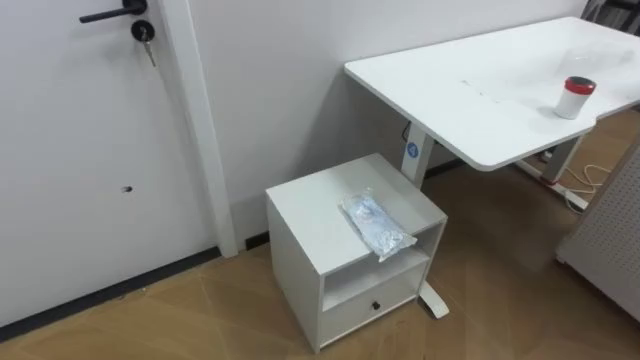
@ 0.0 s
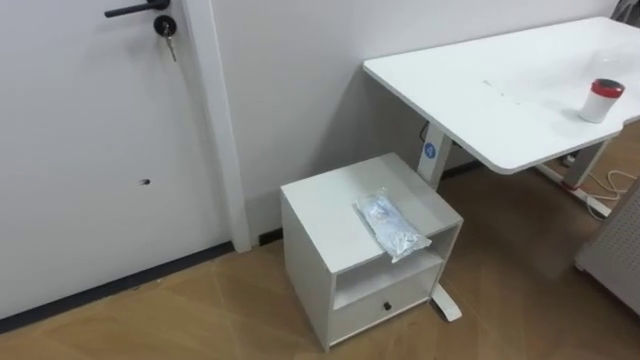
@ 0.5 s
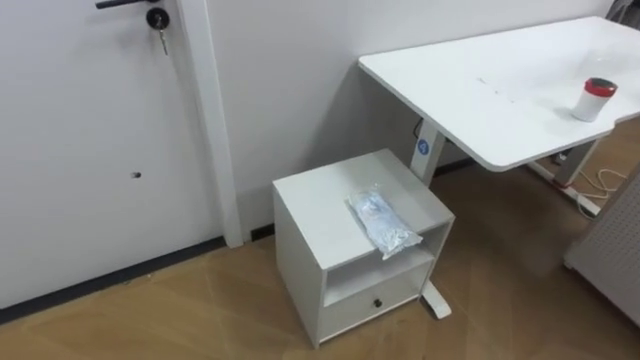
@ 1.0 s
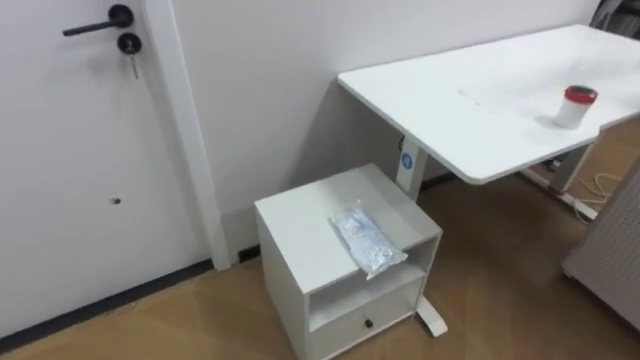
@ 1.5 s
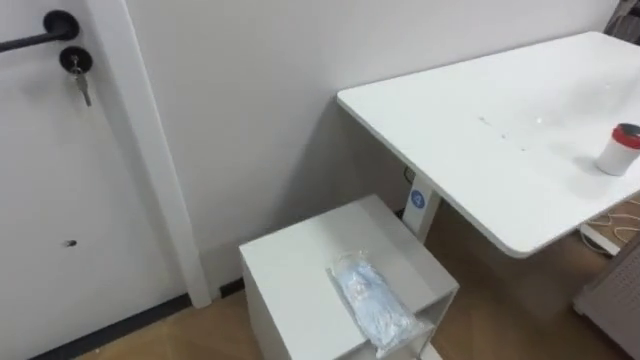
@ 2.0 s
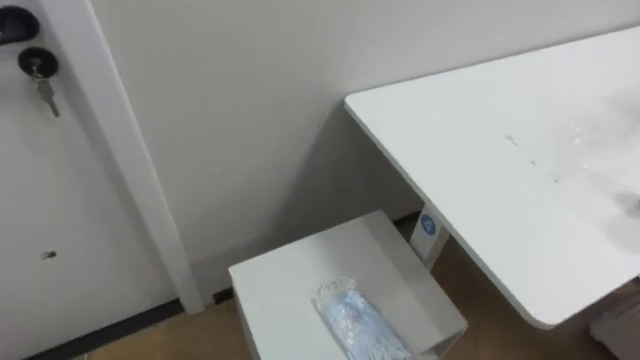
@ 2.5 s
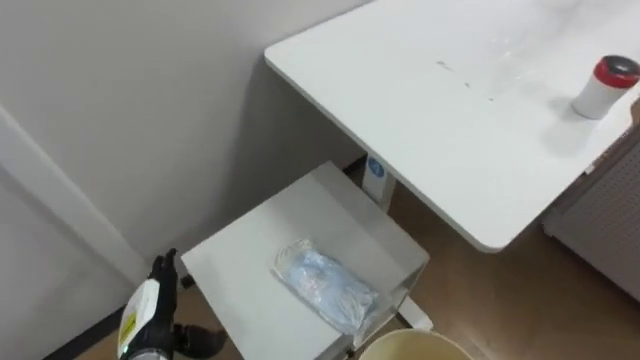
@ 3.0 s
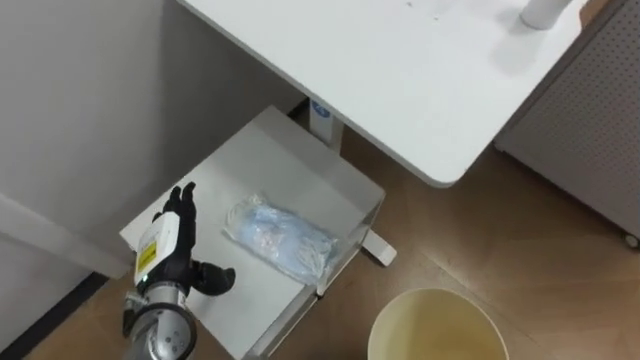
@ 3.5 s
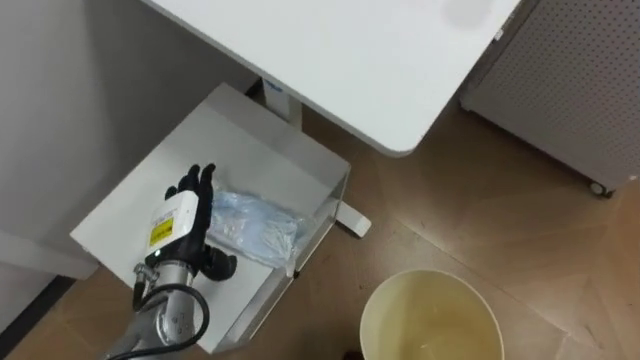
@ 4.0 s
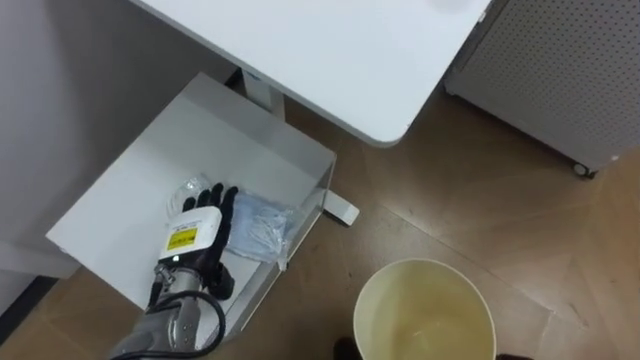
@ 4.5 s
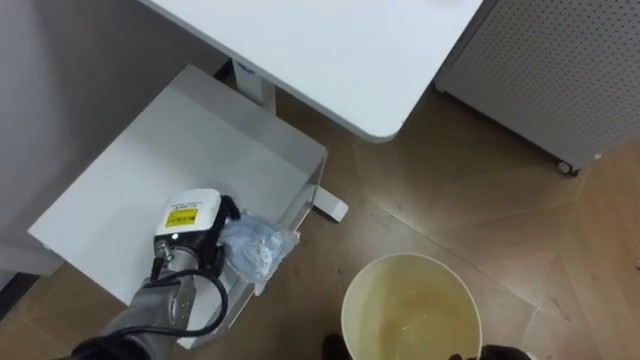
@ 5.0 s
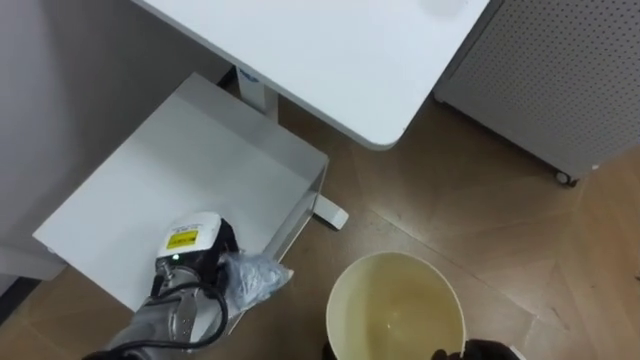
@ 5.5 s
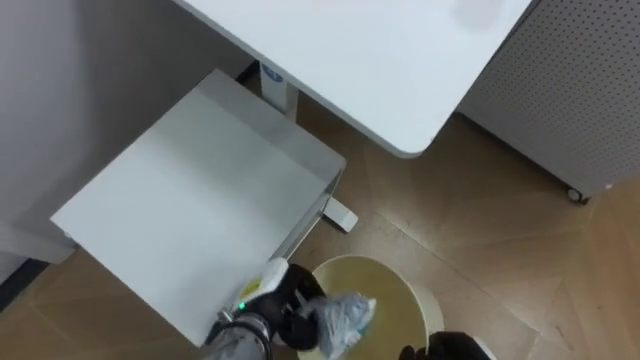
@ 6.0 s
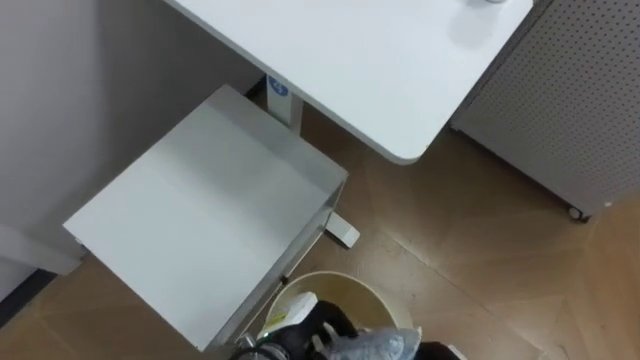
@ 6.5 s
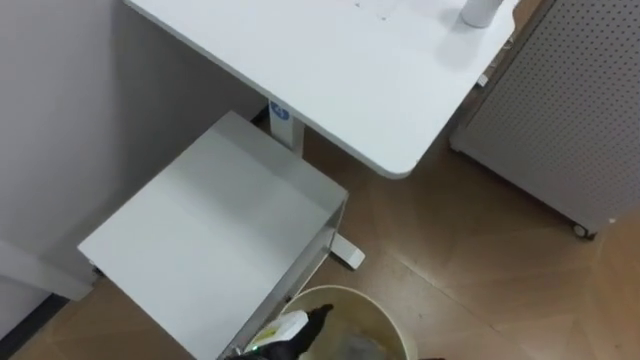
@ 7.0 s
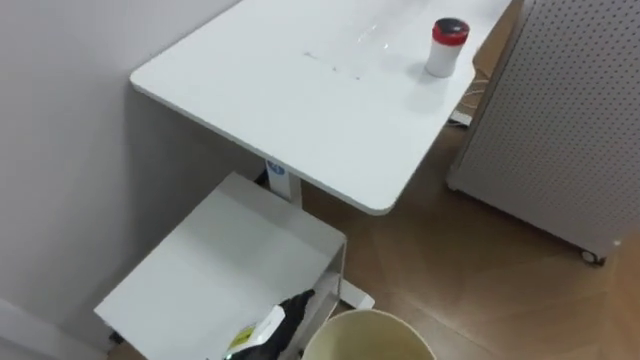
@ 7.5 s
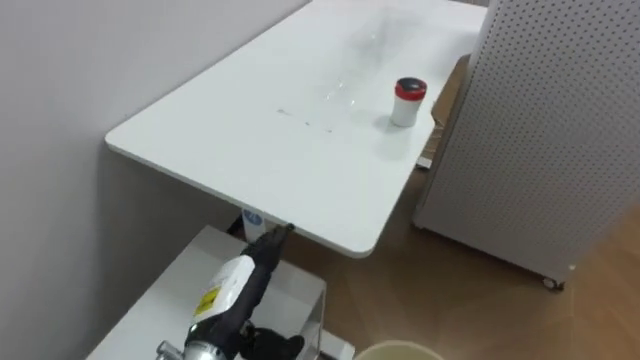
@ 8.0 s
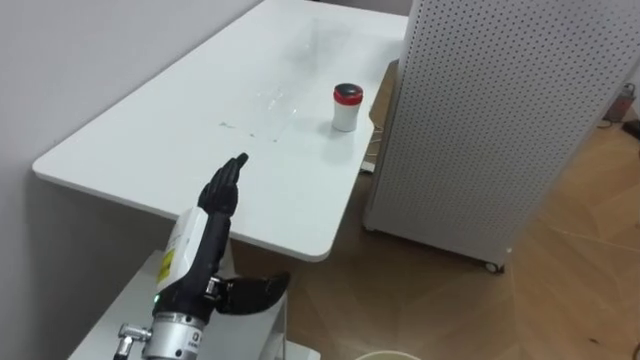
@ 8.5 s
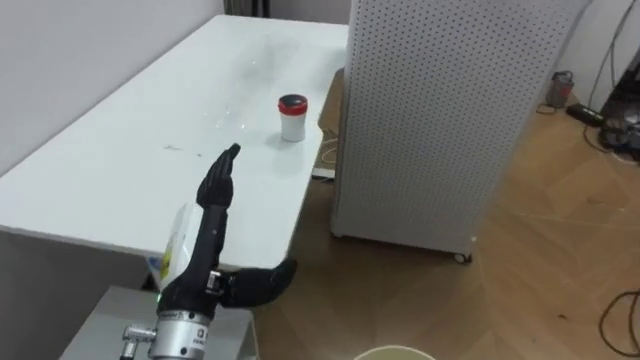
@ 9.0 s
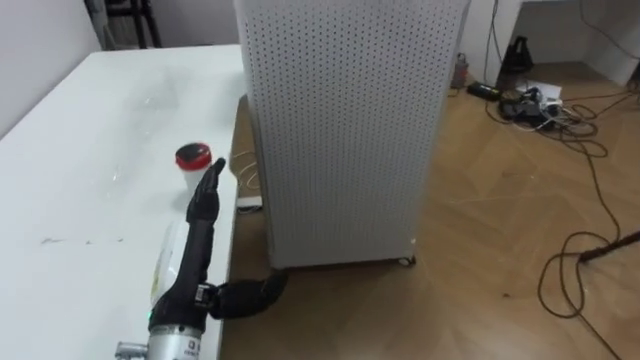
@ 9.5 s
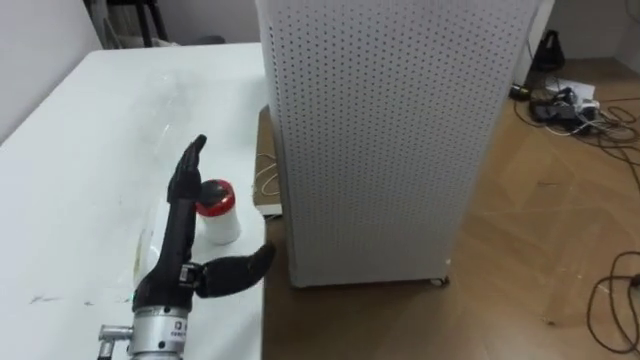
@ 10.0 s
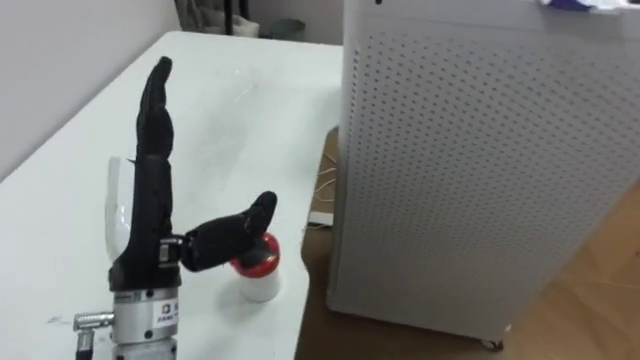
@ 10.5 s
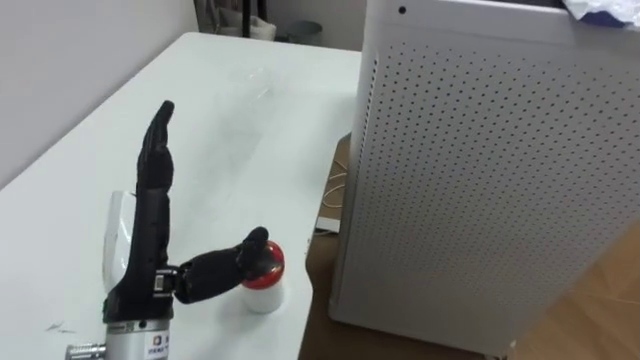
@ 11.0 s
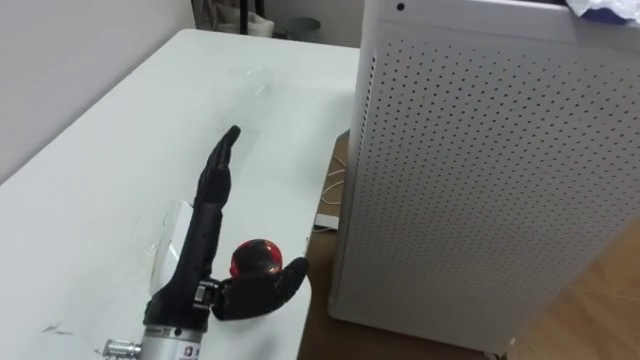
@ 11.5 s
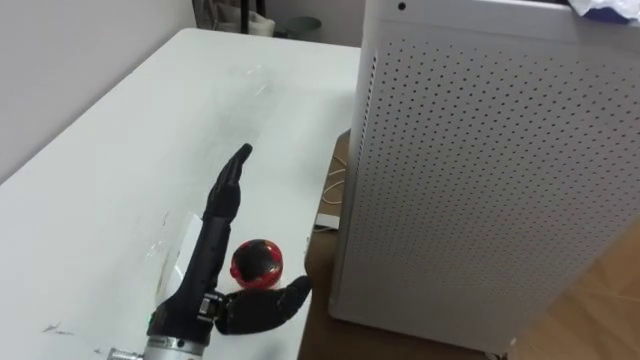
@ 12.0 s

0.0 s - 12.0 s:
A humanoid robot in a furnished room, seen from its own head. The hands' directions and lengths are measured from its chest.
Task of the whole recording: Pick up the light blue package, the candy box, and the dark blue package separately, and put them into the trash can held in your right hand.
4.0 s - 6.0 s: The left hand heads to the right and downward, covering about 15 cm, and closes up.
6.0 s - 8.0 s: The left hand shifts roughly 10 cm backward and upward, and opens its fingers.
8.0 s - 10.0 s: The robot's body swings roughly 40 degrees to its right. The left hand shifts some 10 cm upward and to the left.
10.0 s - 12.0 s: The robot rotates approximately 15 degrees to its left. The left hand reaches about 10 cm upward, then returns.

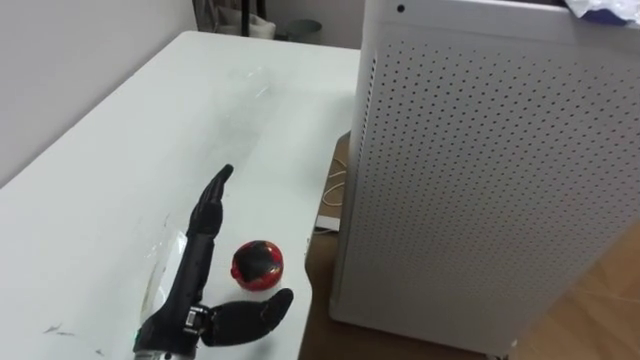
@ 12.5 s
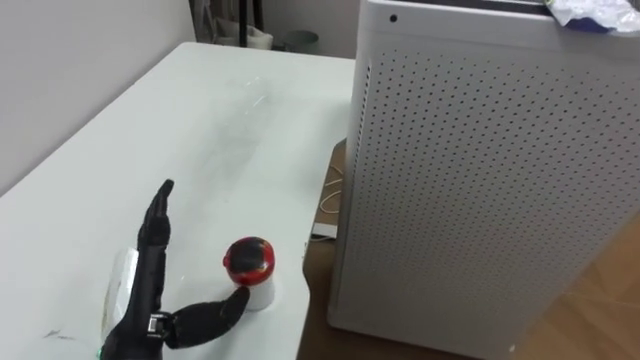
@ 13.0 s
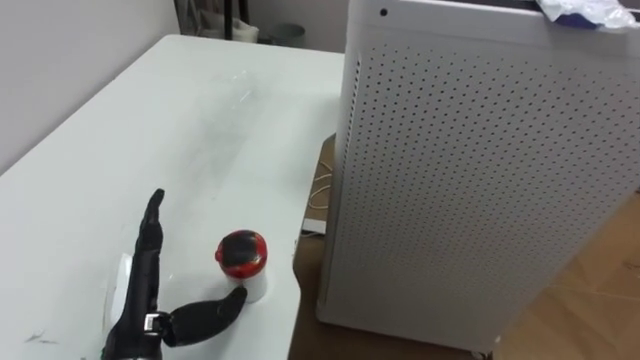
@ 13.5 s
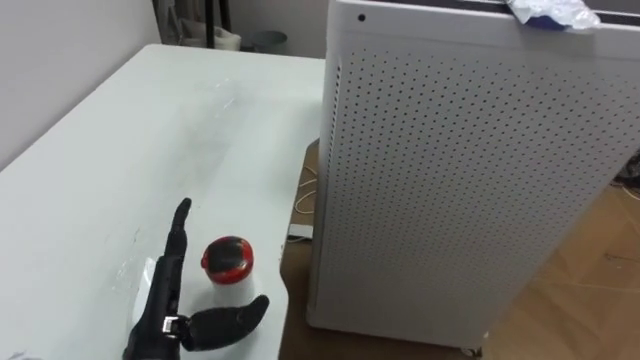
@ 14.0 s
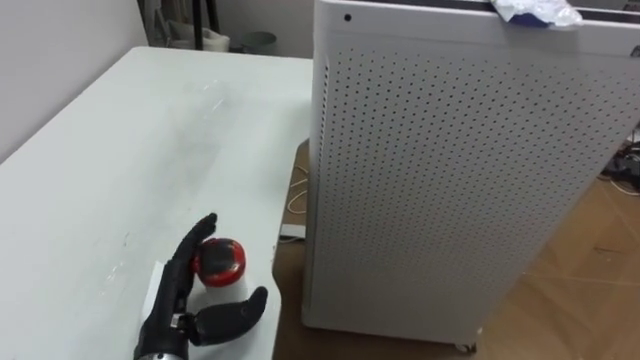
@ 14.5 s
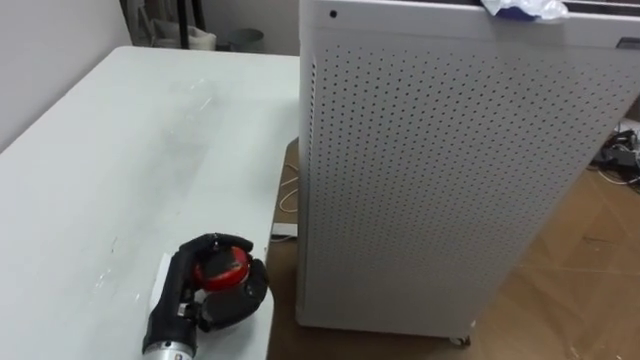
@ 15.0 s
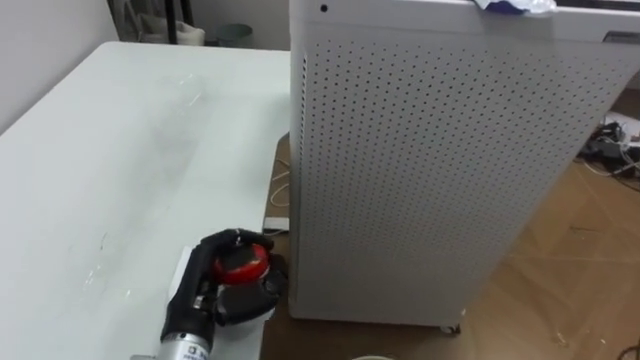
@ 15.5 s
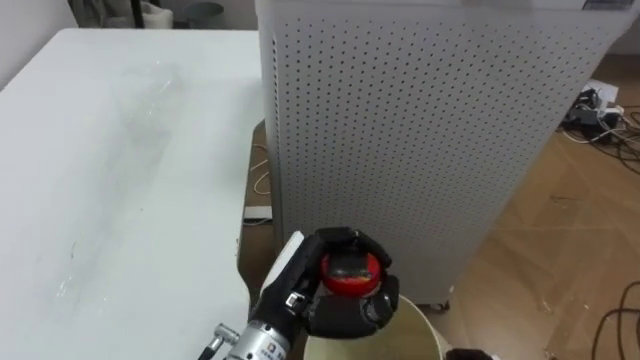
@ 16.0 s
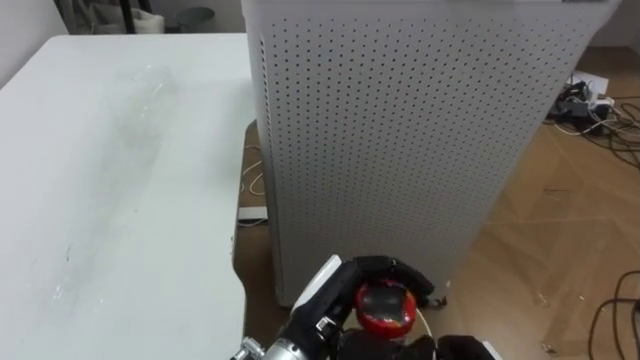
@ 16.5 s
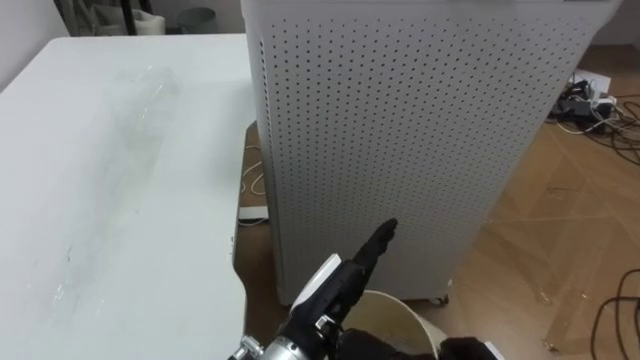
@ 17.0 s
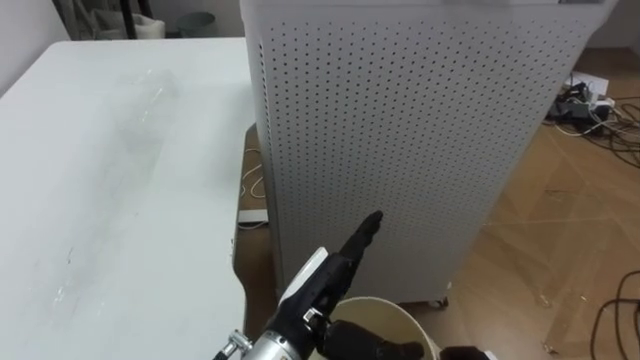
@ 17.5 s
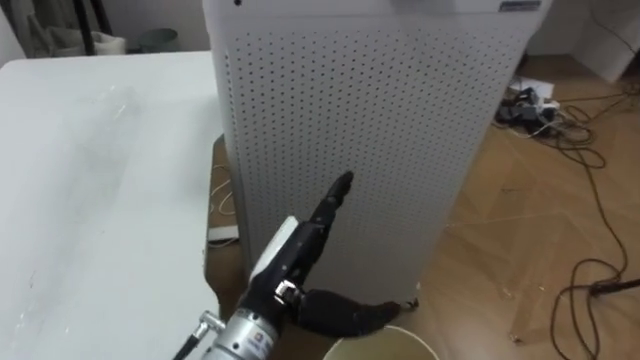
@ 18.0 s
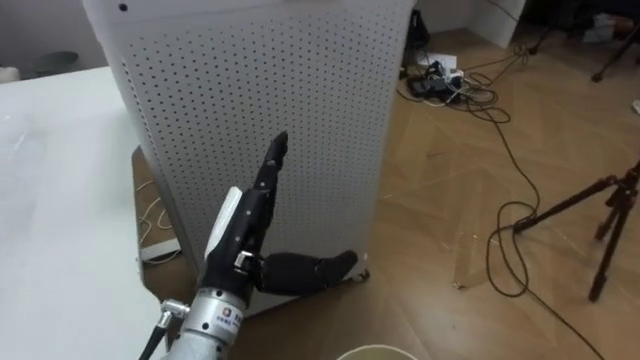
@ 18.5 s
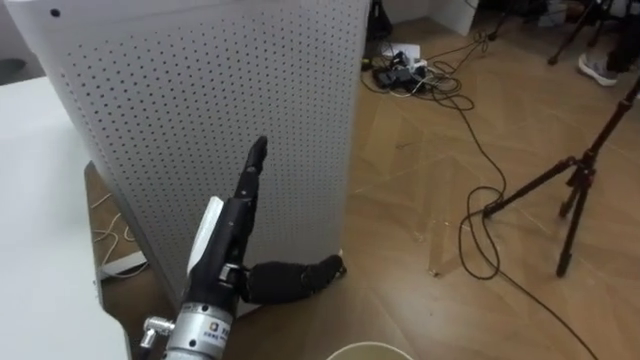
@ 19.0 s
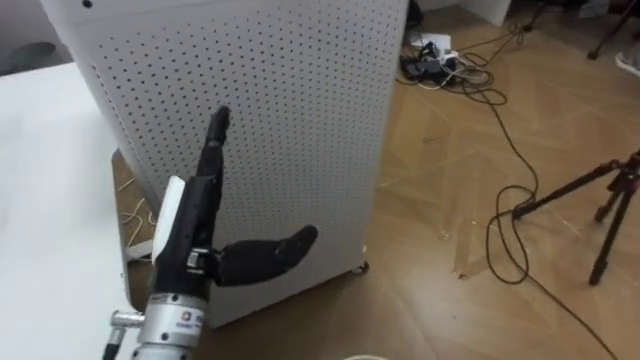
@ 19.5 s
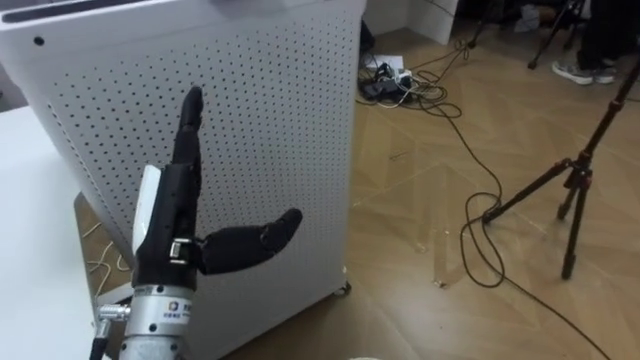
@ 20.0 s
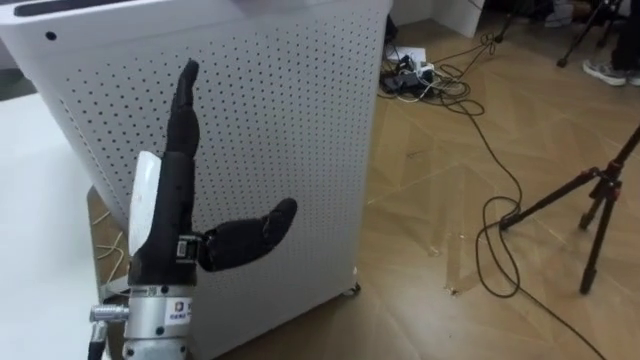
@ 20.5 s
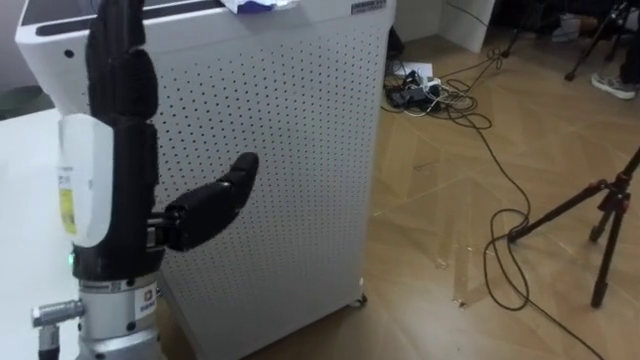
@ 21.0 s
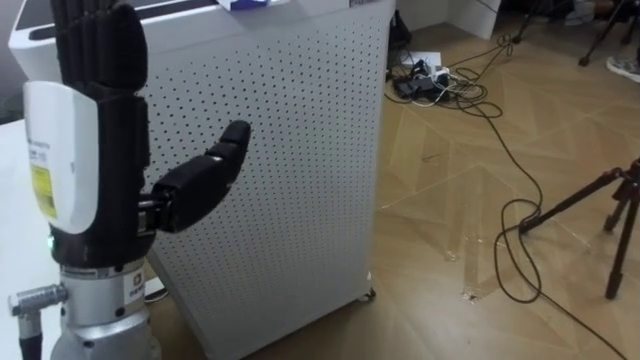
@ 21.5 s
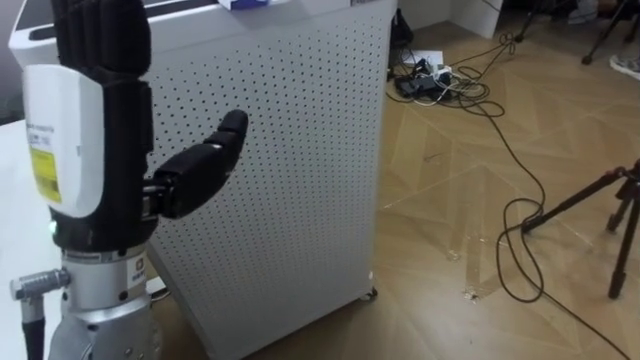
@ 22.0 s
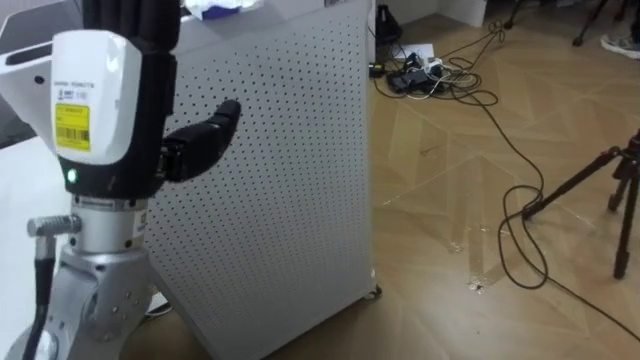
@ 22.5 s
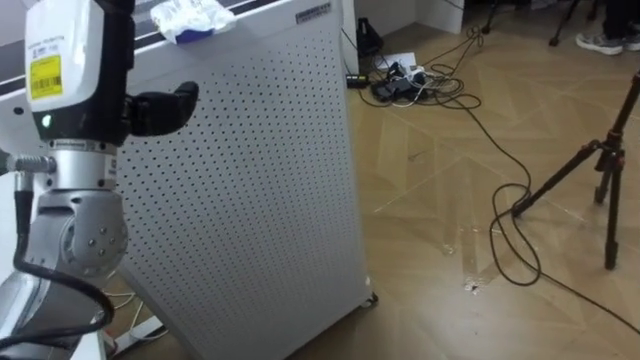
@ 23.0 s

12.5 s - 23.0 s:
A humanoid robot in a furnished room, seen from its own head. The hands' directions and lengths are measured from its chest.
Task of the whole recording: Pick up the light blue package, the candy box, and the dark blue package separately, and put them into the trash can held in your right hand.
12.5 s - 14.5 s: The left hand shifts some 5 cm downward.
14.5 s - 16.5 s: The left hand shifts roughly 20 cm to the right.
16.5 s - 19.0 s: The robot rotates approximately 30 degrees to its right. The left hand goes roughly 10 cm to the left and upward, and opens.
19.0 s - 21.0 s: The left hand travels upward and to the left by approximately 15 cm.
21.0 s - 23.0 s: The left hand moves forward, some 10 cm.
